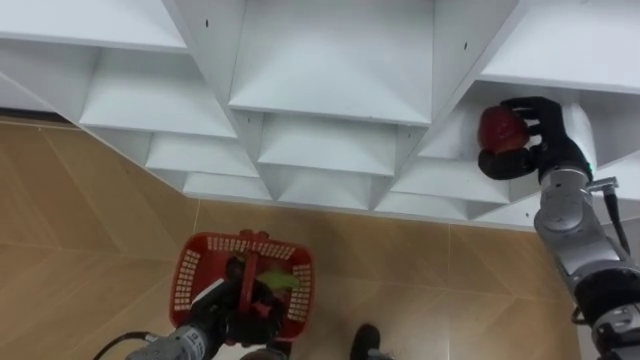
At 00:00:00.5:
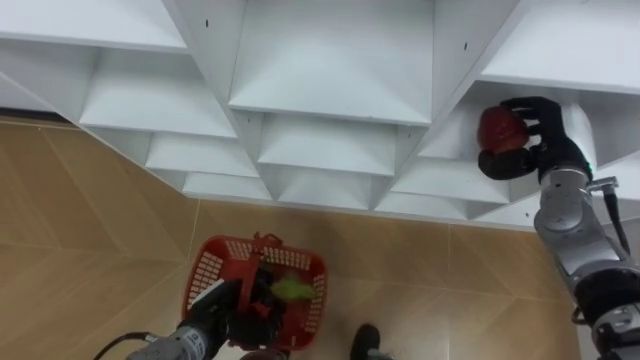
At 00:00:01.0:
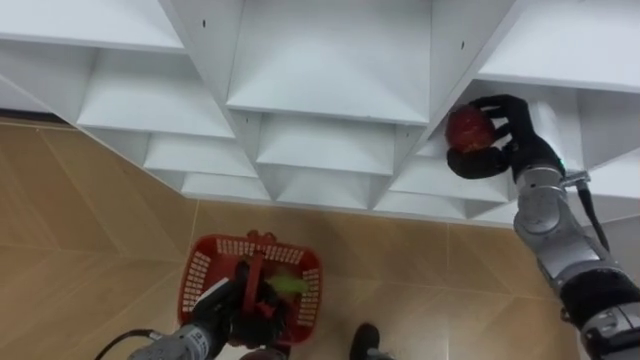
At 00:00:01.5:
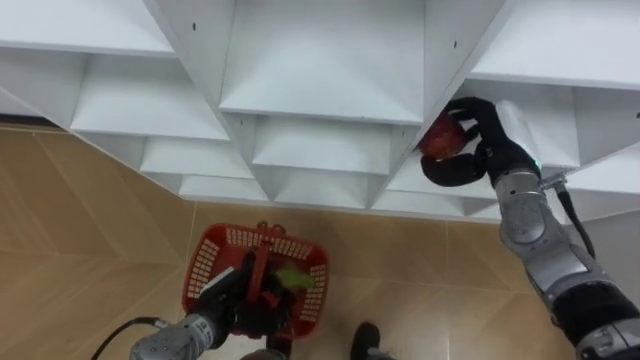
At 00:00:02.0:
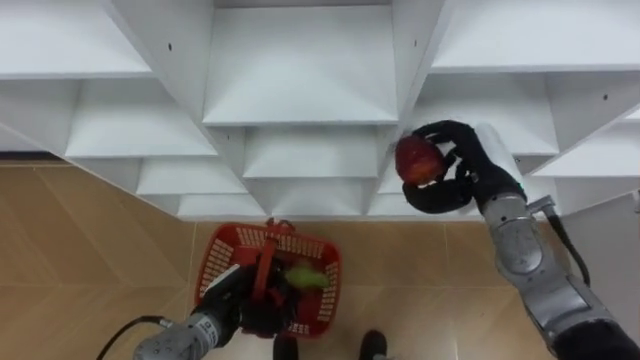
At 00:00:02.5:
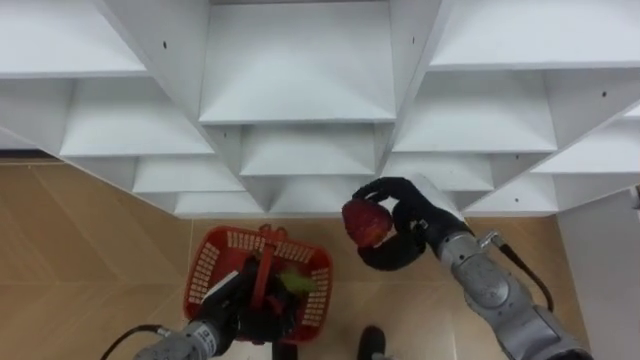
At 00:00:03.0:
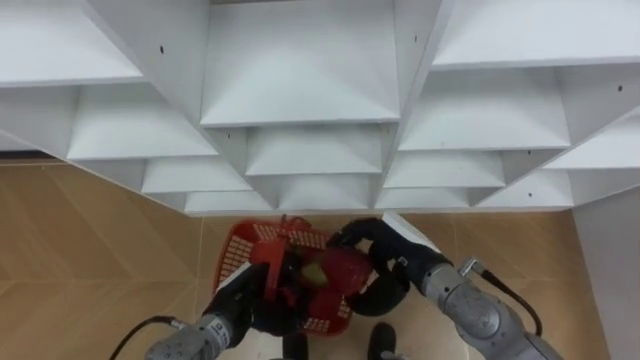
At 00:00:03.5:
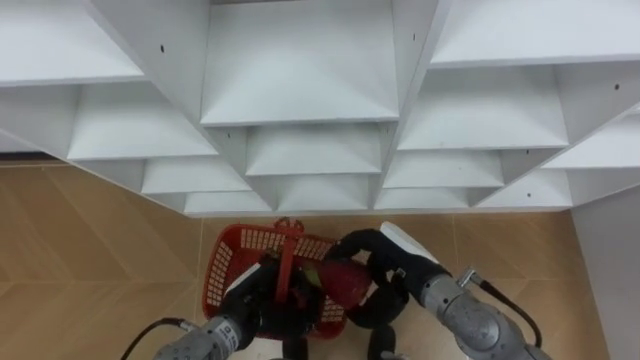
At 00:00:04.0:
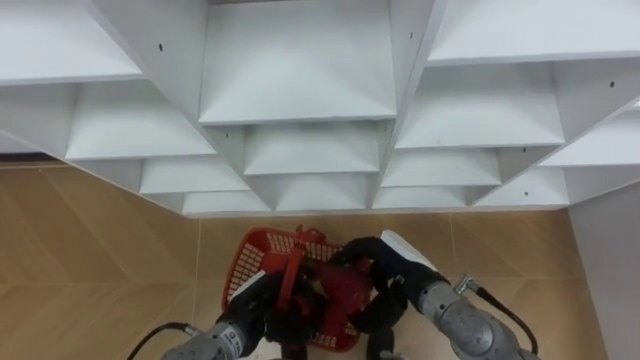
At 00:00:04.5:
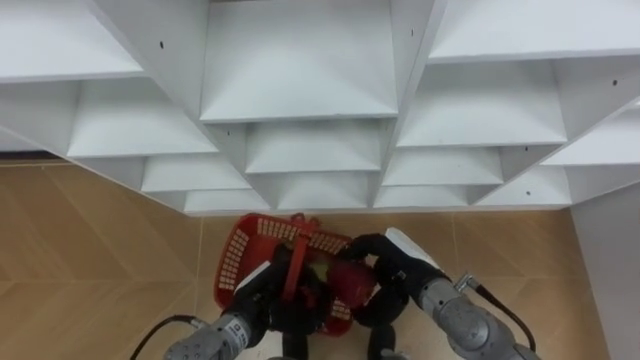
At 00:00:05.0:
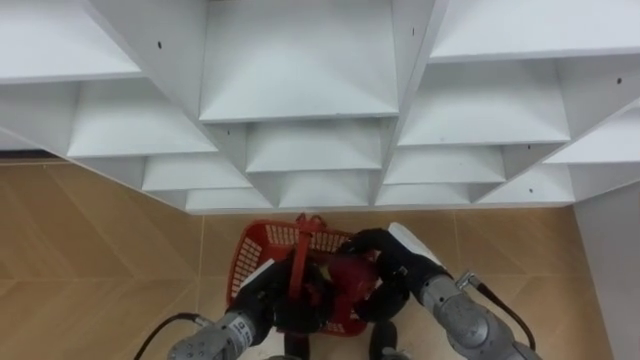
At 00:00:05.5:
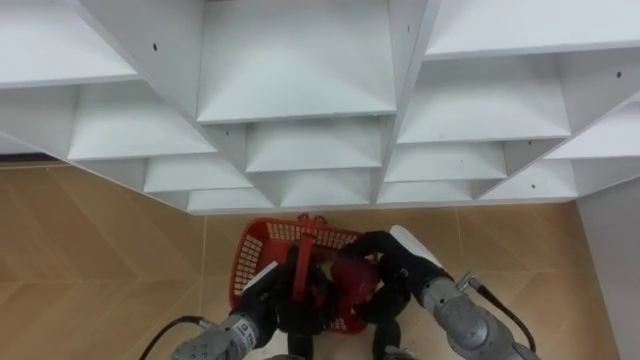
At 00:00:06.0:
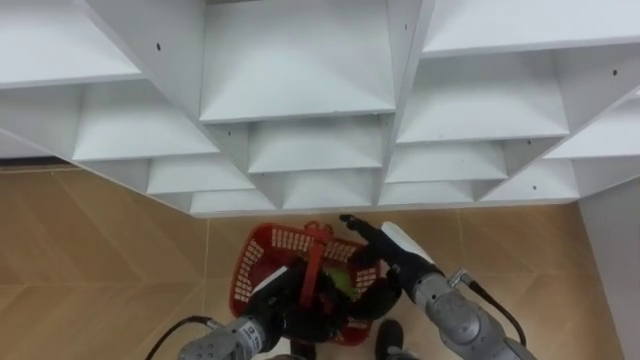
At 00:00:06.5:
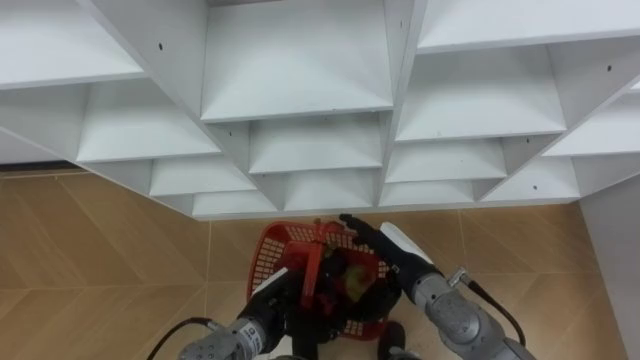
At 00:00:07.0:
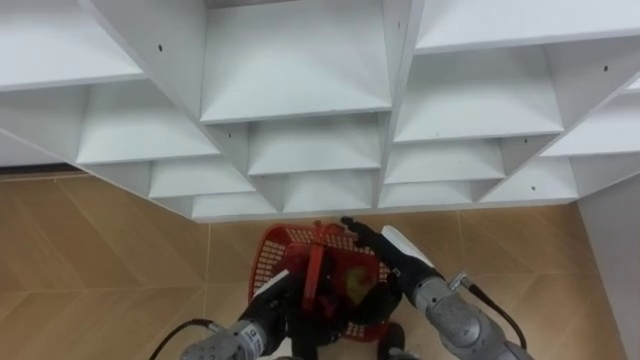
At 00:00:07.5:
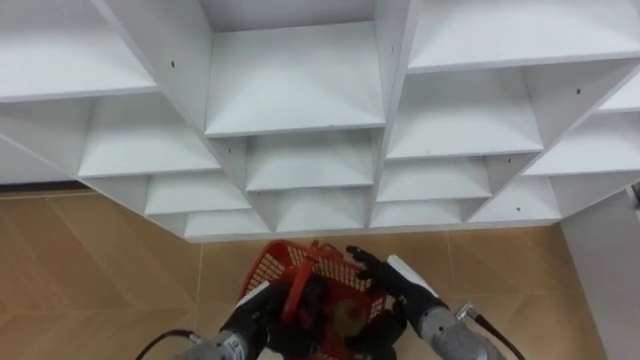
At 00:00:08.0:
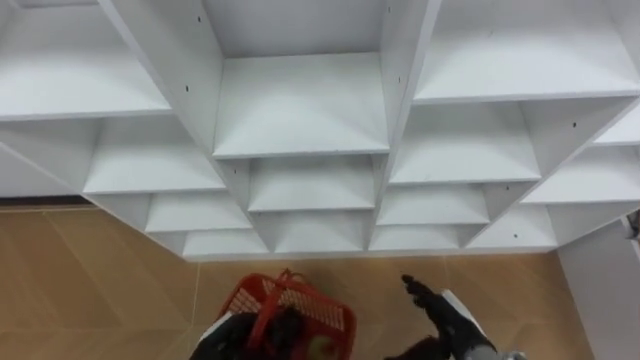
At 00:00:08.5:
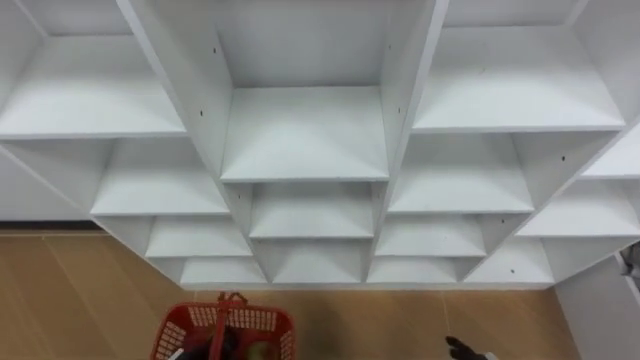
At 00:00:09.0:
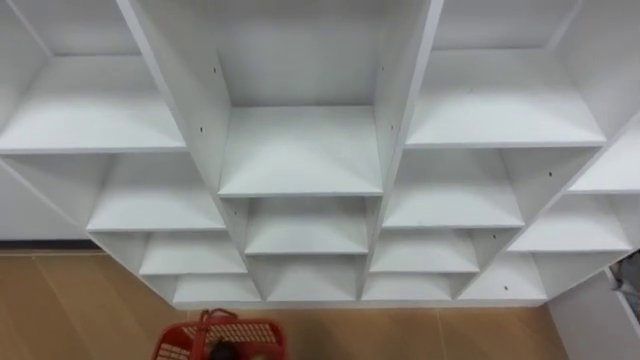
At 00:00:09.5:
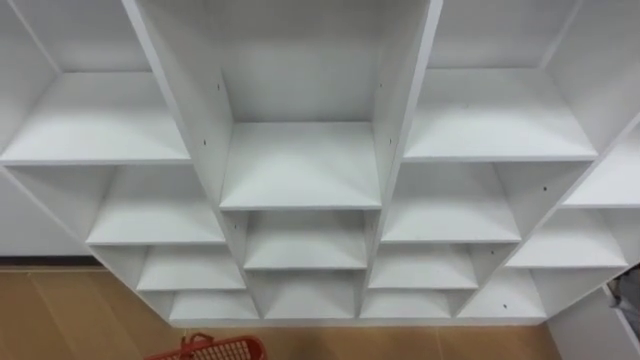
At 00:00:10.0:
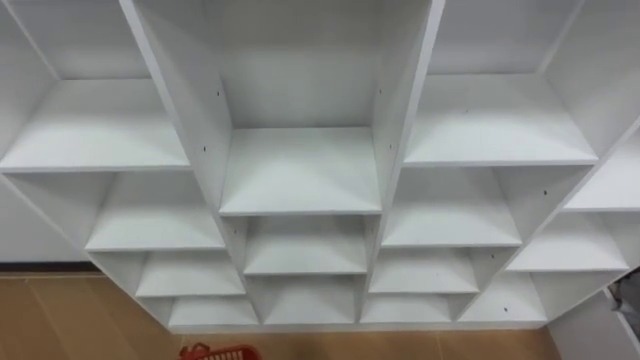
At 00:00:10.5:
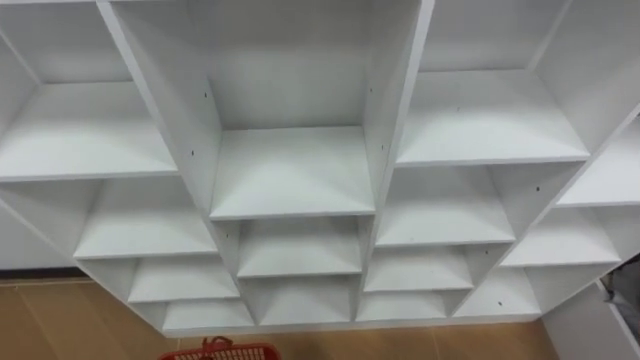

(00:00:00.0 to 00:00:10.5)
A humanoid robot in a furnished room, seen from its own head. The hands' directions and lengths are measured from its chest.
Task of the whole recording: Hold the basket and collect the fruits from 3 different cells of the closet into it.
00:00:00.0 - 00:00:02.0: The right hand shifts about 10 cm to the left.
00:00:02.0 - 00:00:04.0: The right hand travels to the left, backward and downward by some 15 cm.
00:00:04.0 - 00:00:06.5: The right hand opens its fingers.

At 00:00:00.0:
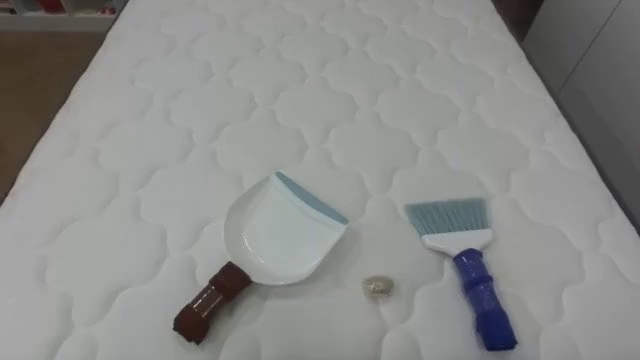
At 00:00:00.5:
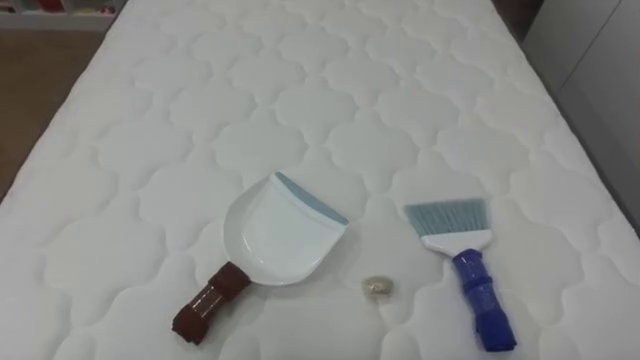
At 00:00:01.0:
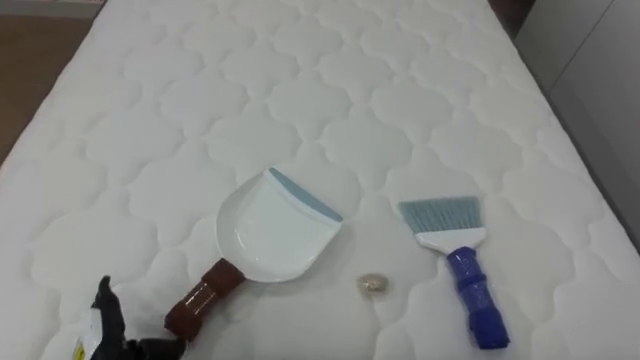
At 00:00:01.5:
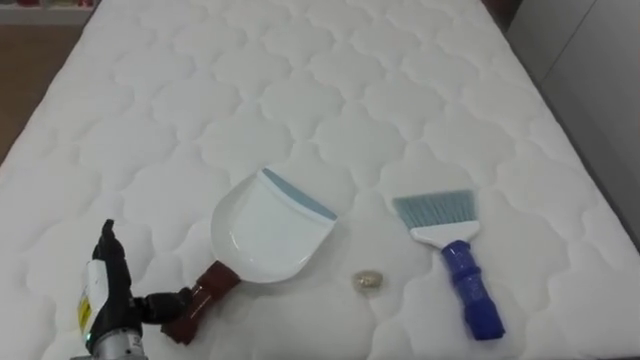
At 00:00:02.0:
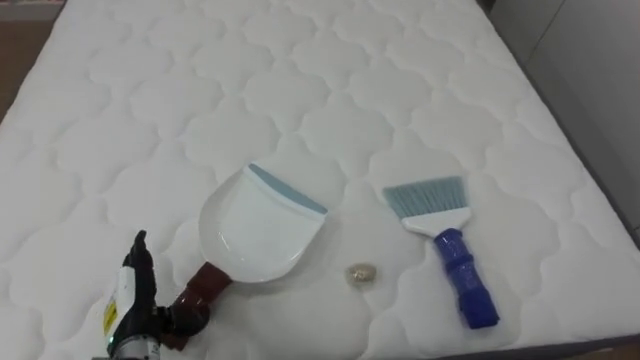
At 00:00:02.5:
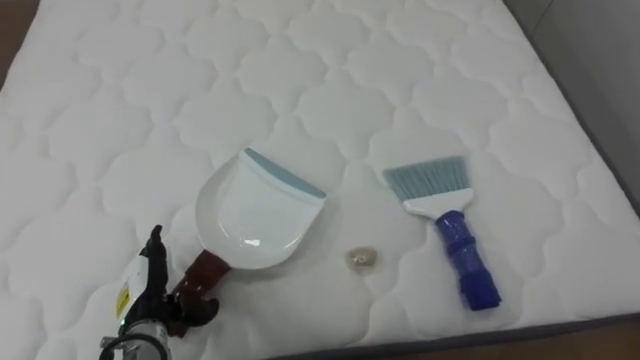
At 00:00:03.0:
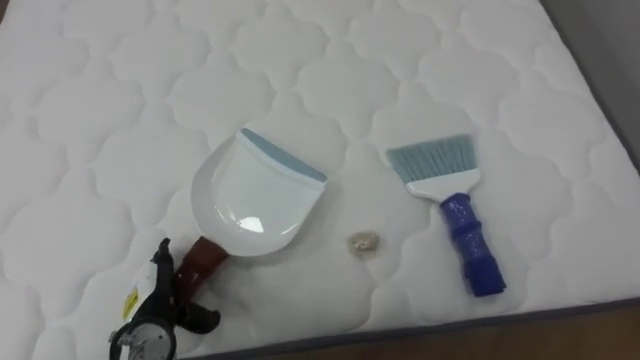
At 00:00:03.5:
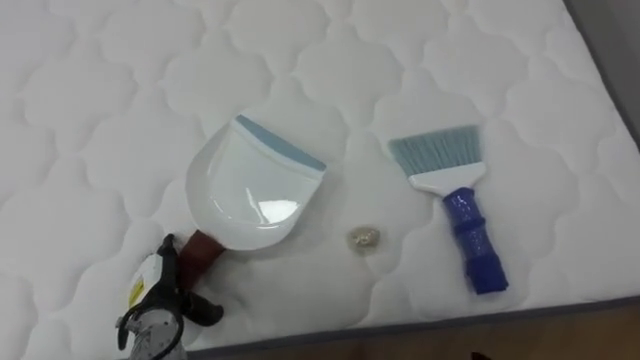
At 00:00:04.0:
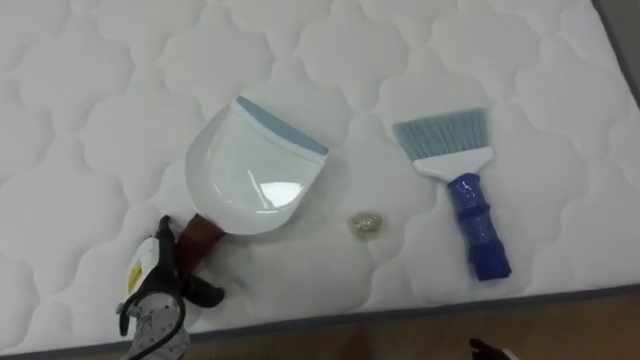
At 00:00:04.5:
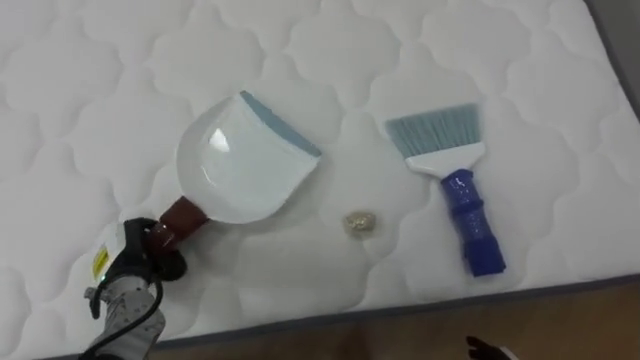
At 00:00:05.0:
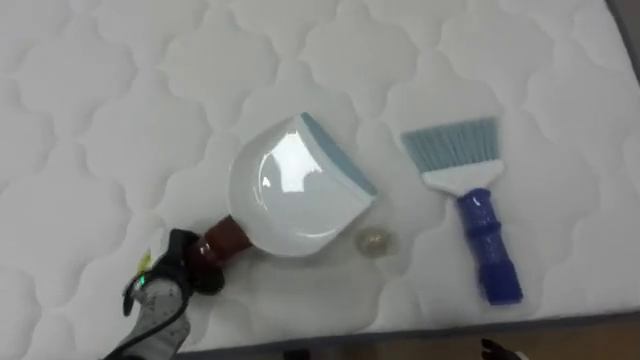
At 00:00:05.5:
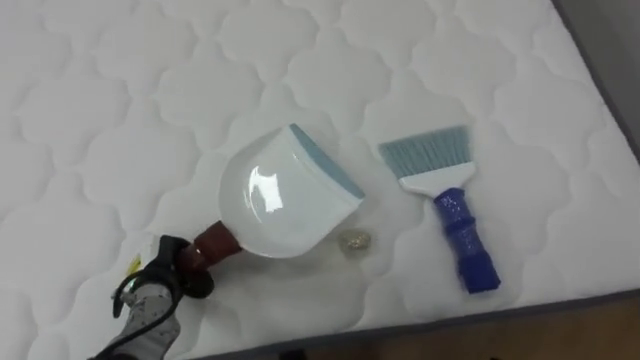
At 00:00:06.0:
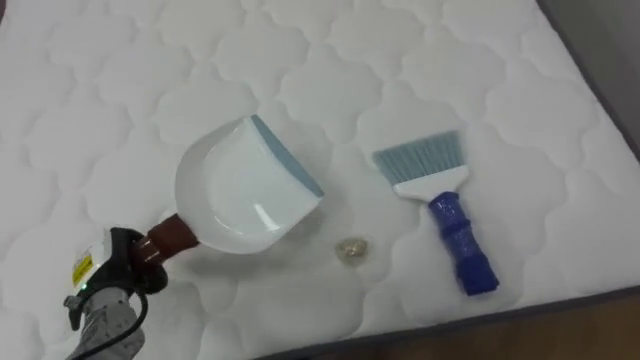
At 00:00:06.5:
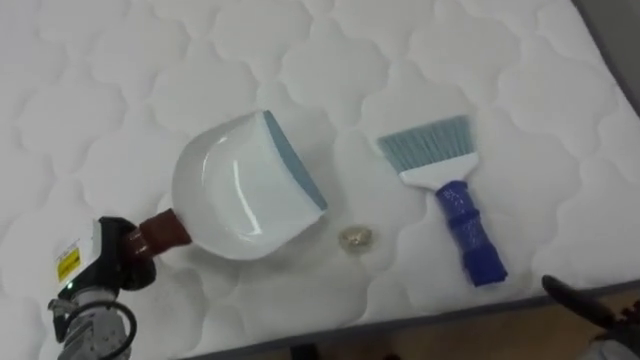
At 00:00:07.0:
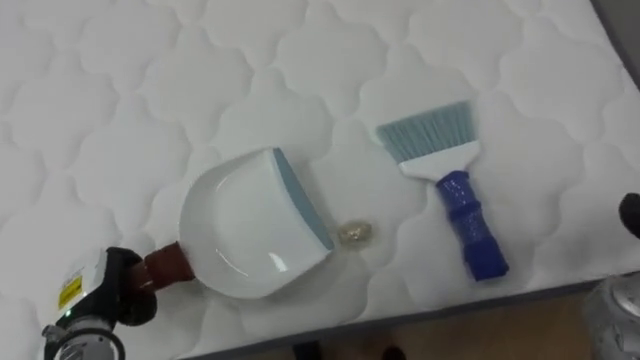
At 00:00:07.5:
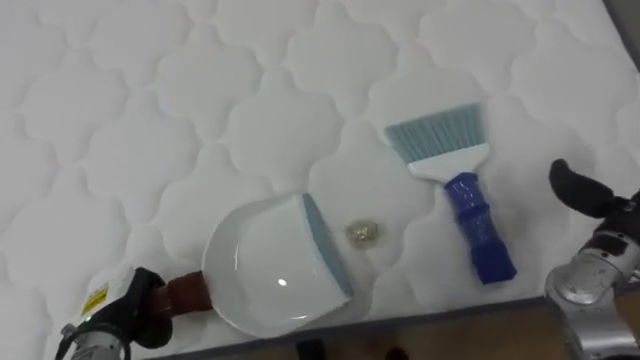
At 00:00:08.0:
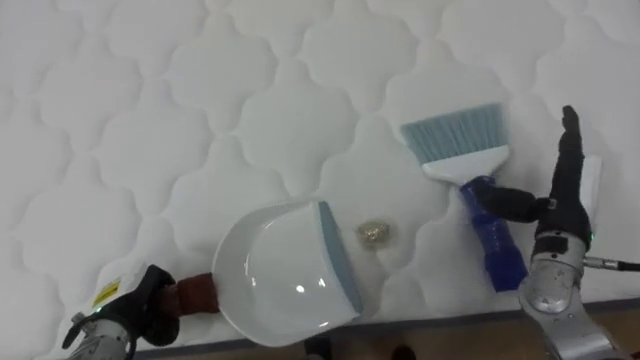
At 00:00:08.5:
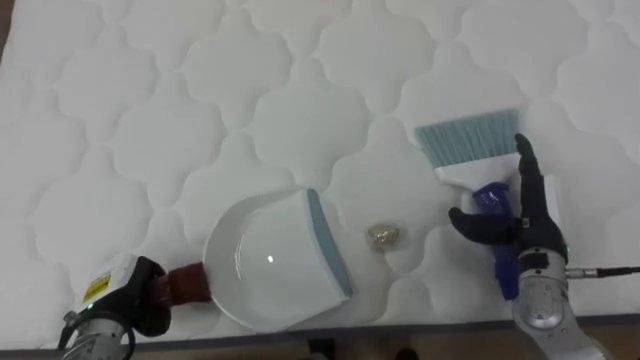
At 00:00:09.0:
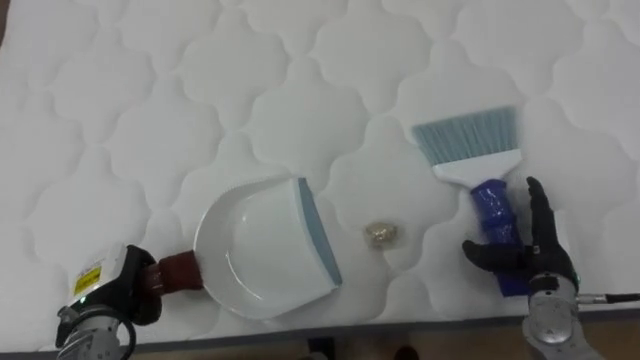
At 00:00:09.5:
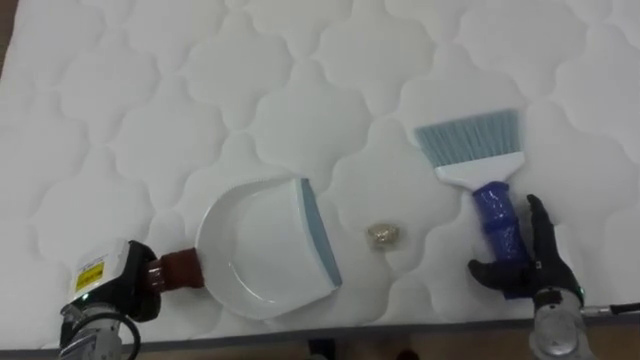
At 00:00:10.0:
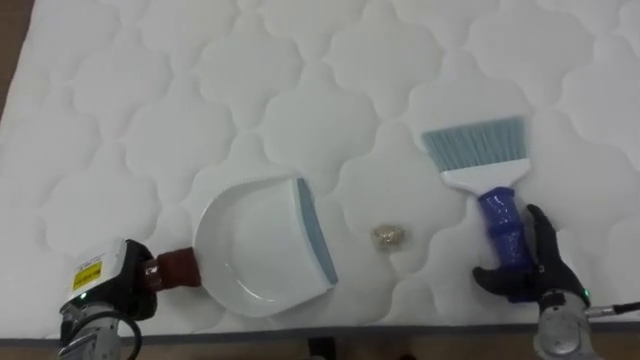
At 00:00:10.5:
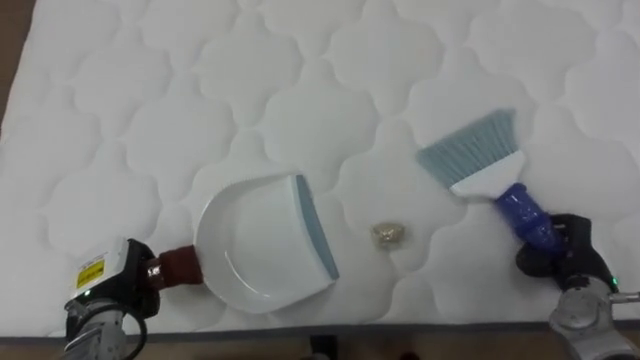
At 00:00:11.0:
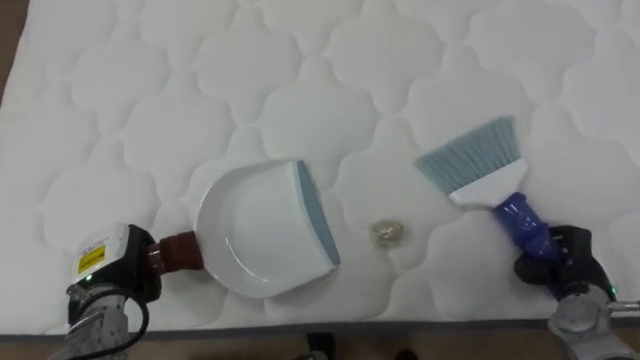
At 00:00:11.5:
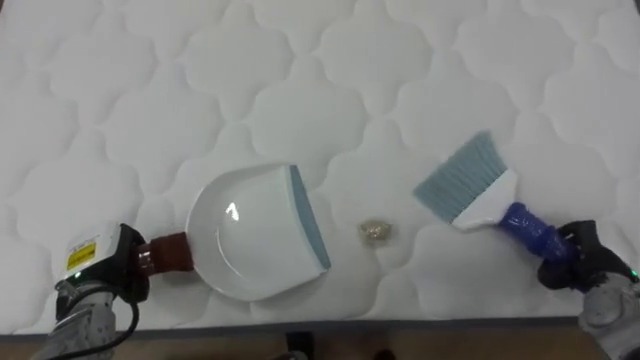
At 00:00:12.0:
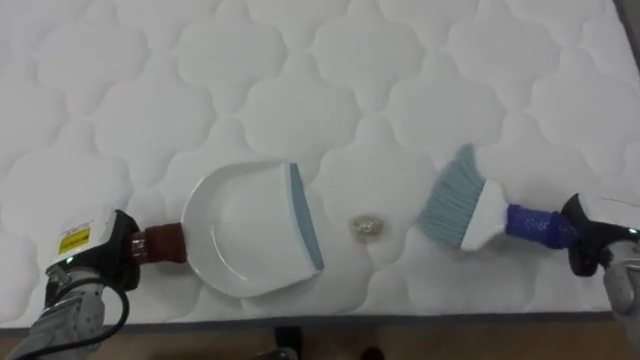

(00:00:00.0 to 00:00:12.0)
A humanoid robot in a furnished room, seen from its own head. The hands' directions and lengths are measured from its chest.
Task of the whole recording: Pick up the brush on your right and the dustpan on your left. Use the brush to sweep the crumpled paper on the bed into the dustpan, then turn left and empty it into the basket.
00:00:02.0 - 00:00:04.0: The left hand moves forward, some 5 cm.
00:00:04.0 - 00:00:06.0: The left hand travels to the left by approximately 5 cm, and closes its fingers.
00:00:06.0 - 00:00:08.0: The left hand shifts by some 5 cm.
00:00:08.0 - 00:00:10.0: The right hand is displaced downward and backward by approximately 10 cm.
00:00:10.0 - 00:00:12.0: The right hand is displaced to the right and upward by roughly 10 cm, and closes.
